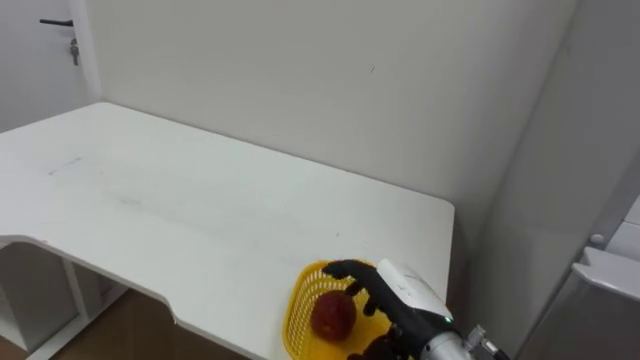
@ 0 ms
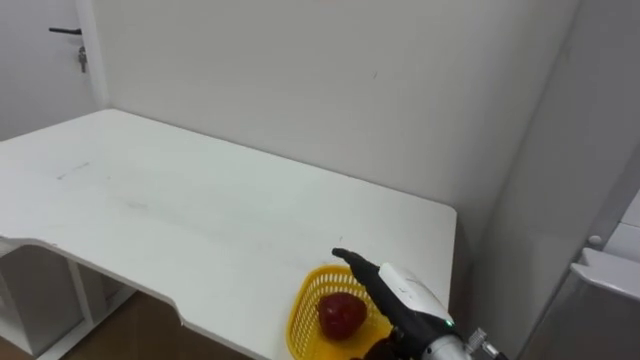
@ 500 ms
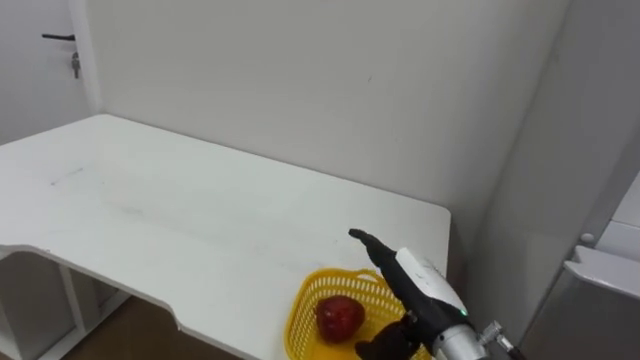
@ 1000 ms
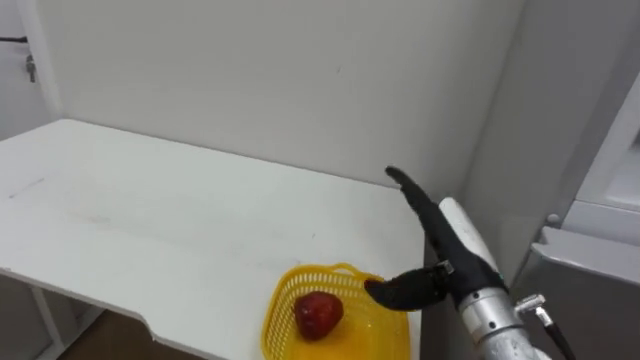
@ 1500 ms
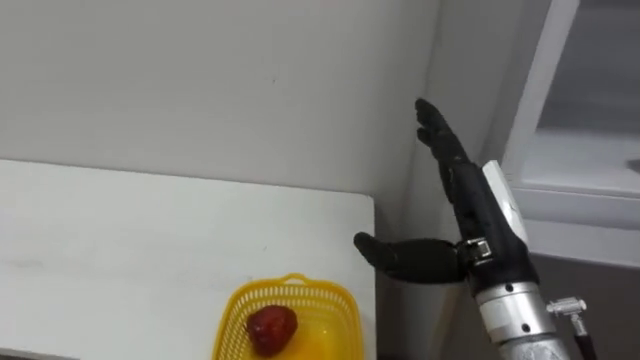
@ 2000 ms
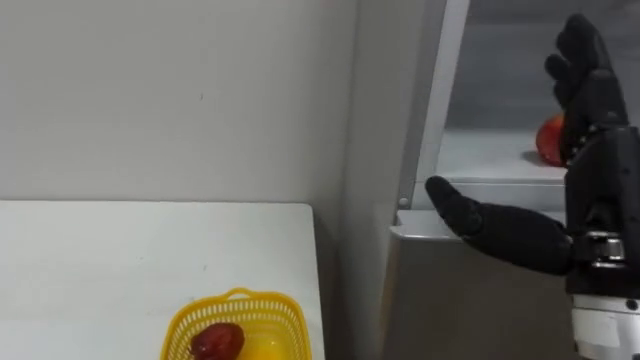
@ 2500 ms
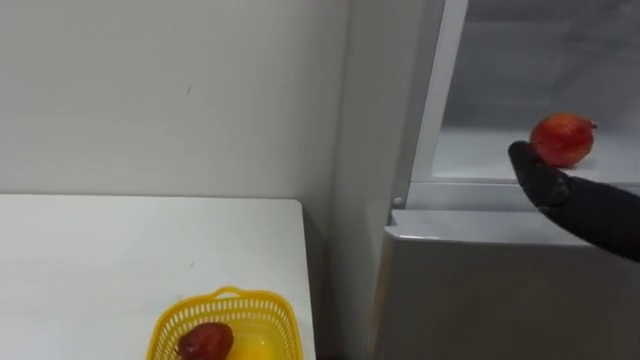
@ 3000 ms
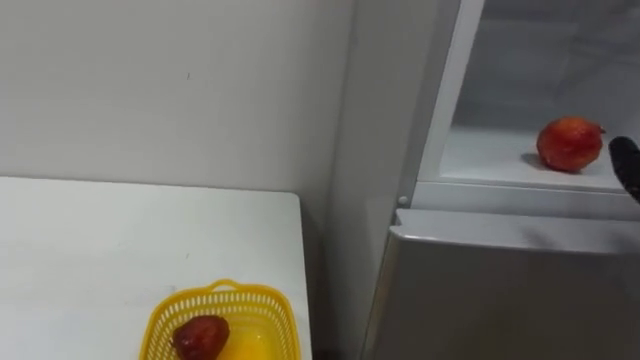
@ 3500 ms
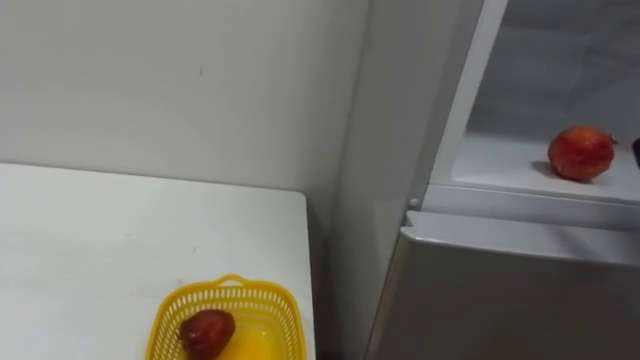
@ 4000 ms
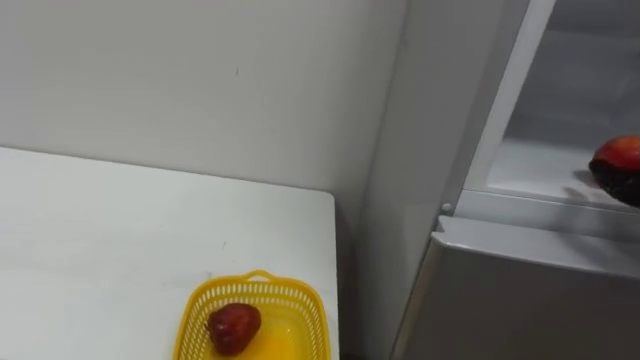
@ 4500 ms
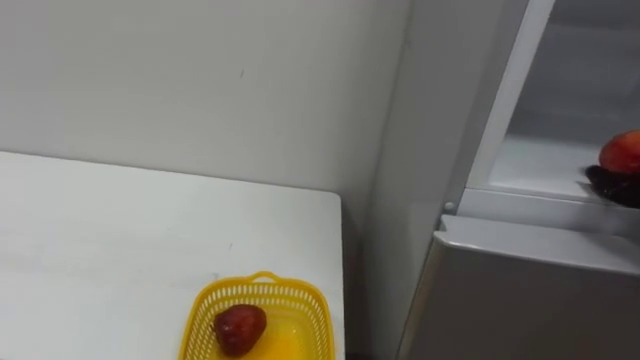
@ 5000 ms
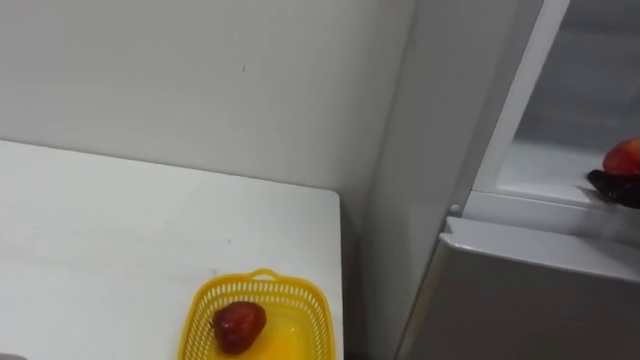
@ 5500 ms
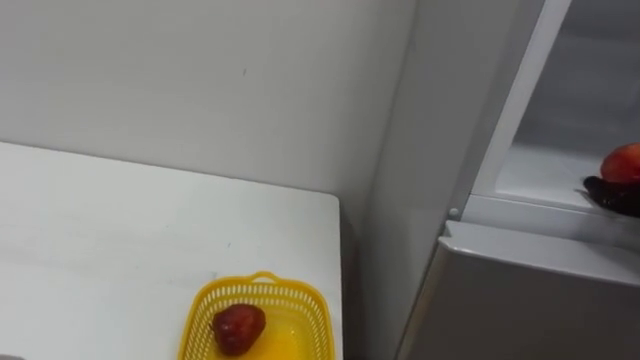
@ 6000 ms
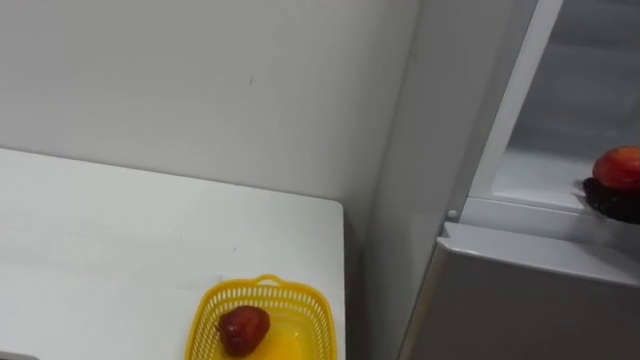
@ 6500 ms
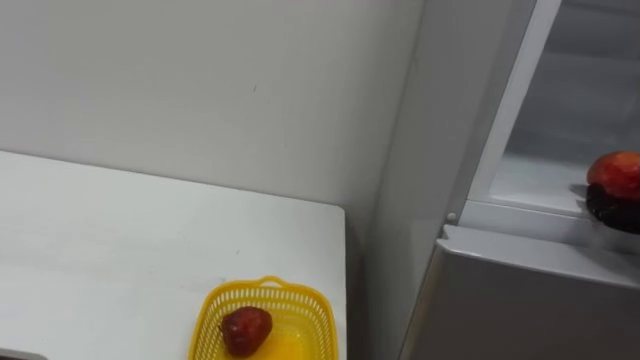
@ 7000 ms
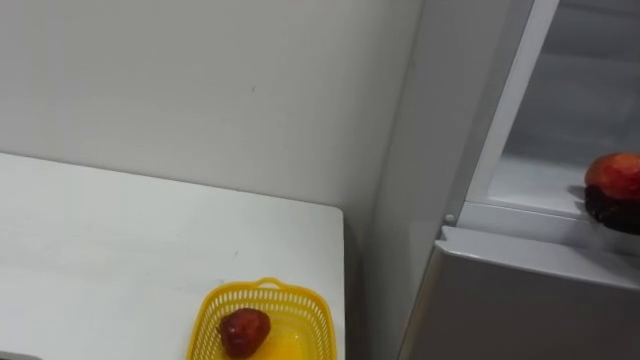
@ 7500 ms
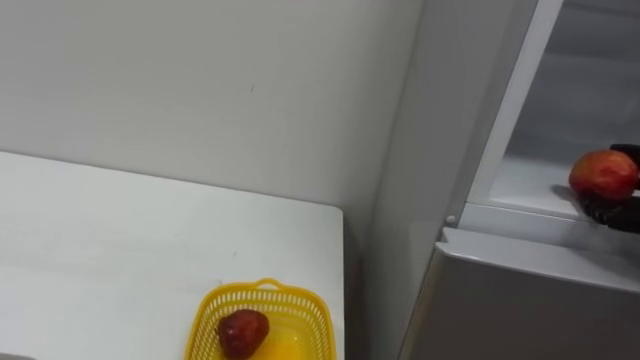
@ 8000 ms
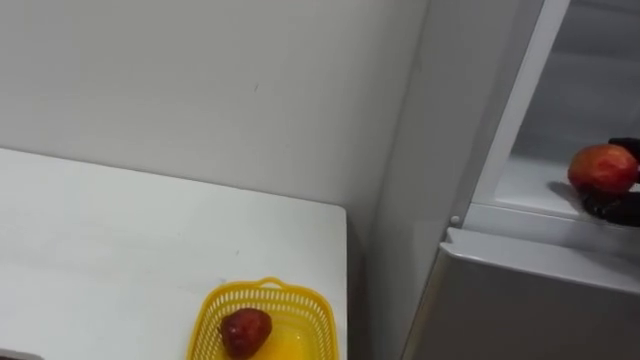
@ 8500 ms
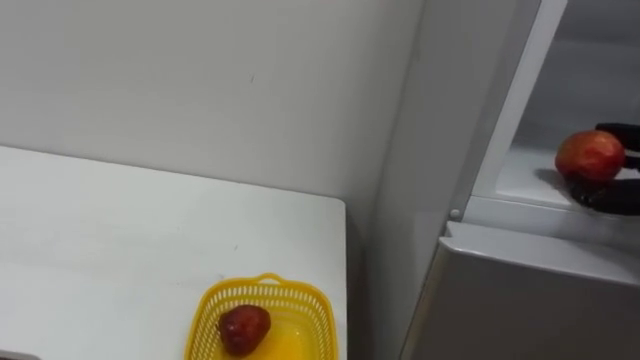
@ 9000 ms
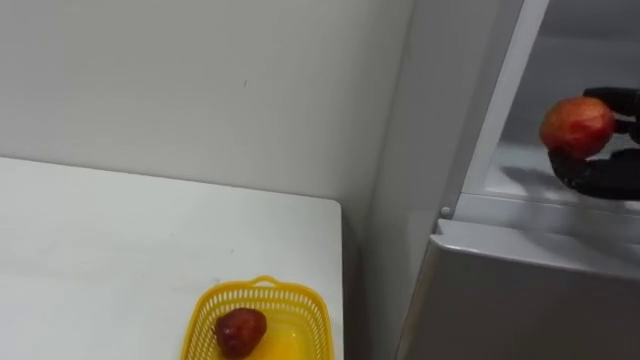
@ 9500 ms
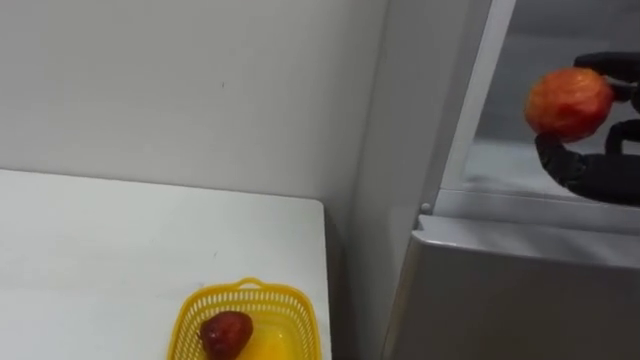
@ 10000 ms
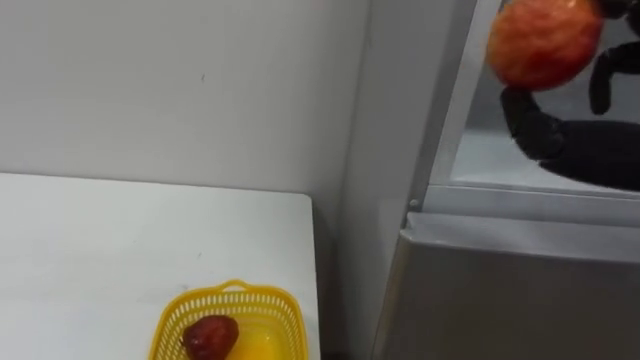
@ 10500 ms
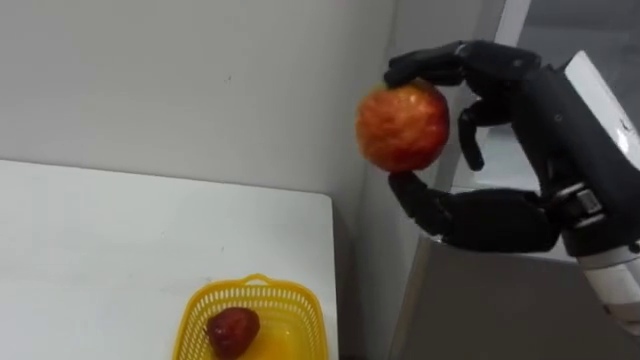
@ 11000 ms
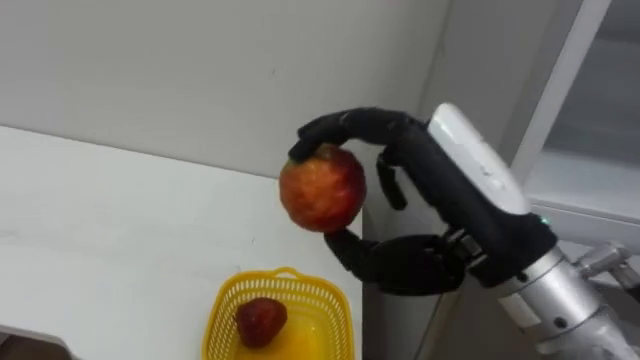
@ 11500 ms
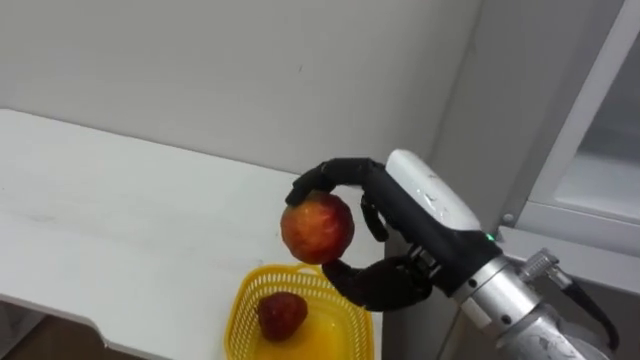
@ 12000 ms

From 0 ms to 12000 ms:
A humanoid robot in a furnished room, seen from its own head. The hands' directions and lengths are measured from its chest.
Task of the whole recording: Open the refrigerator door, take out the apple and the pomegranate, place them in the fruit basket on the left, and close the refrigerator door.
From 0 ms to 2000 ms: The right hand goes some 15 cm upward and to the right, and opens its fingers.

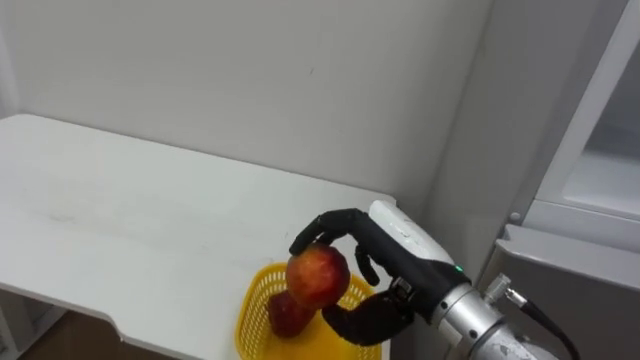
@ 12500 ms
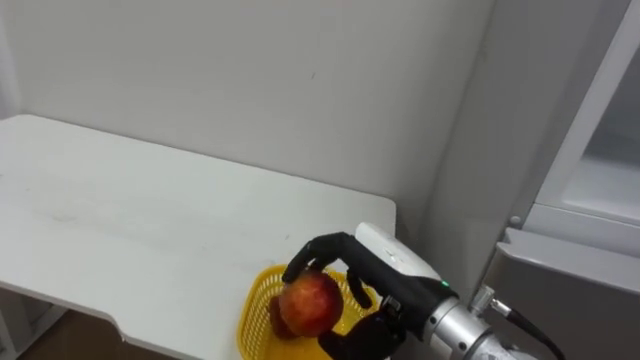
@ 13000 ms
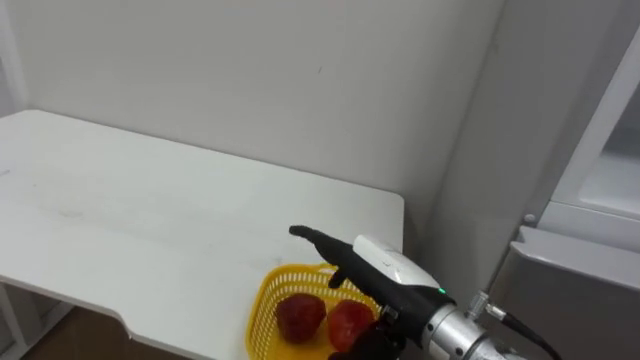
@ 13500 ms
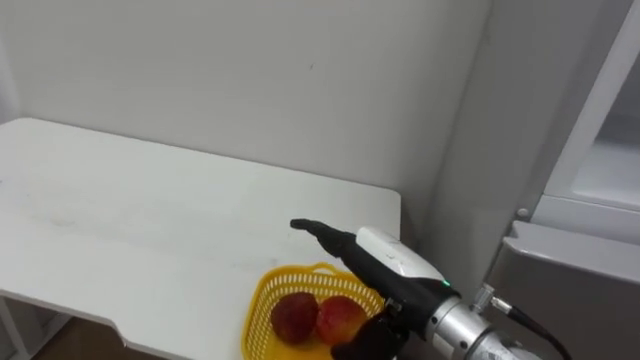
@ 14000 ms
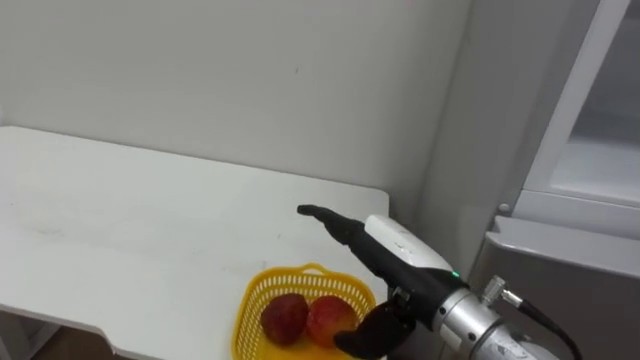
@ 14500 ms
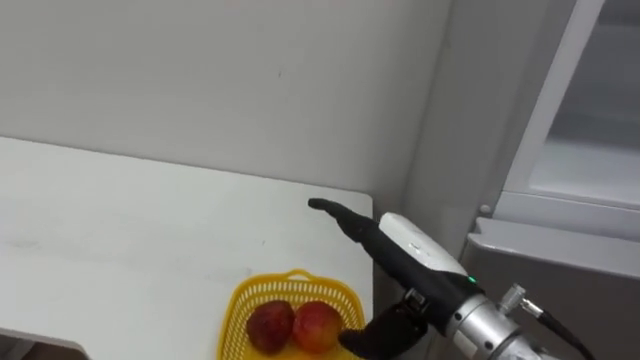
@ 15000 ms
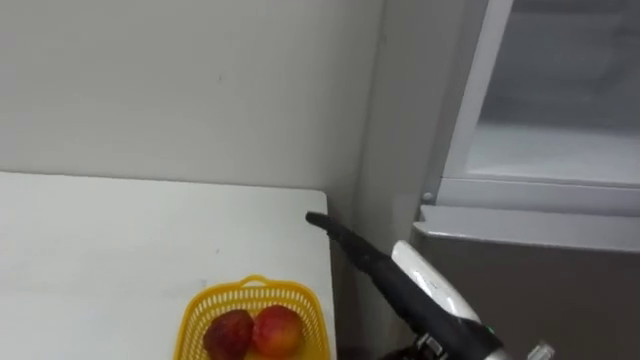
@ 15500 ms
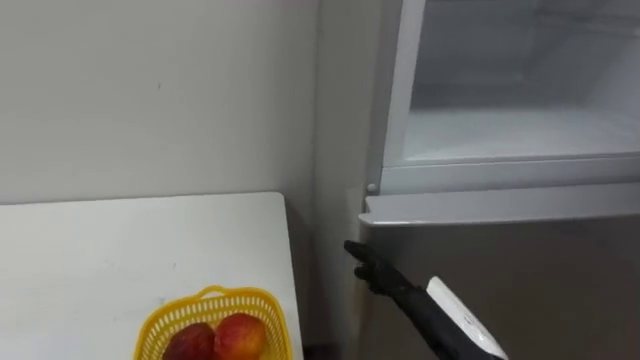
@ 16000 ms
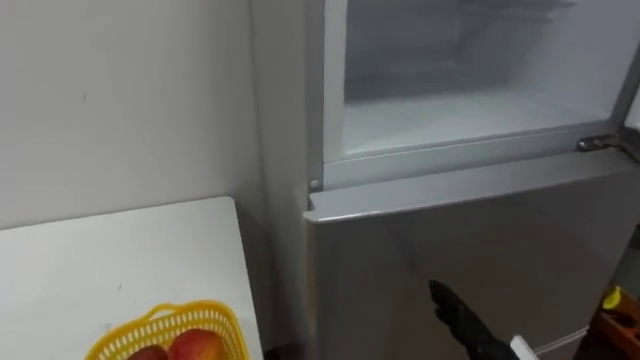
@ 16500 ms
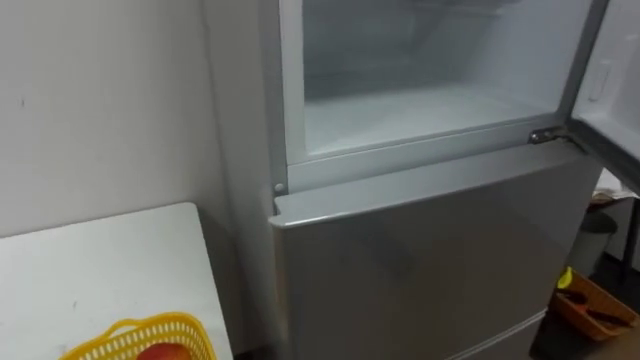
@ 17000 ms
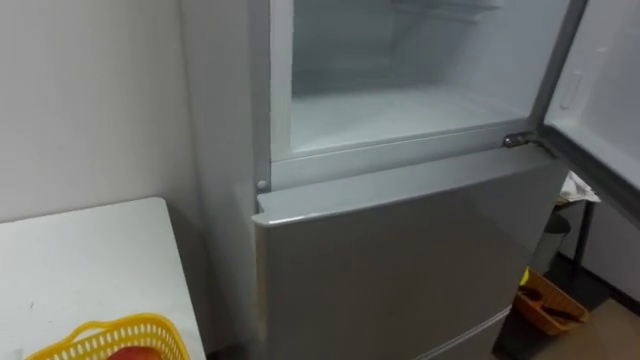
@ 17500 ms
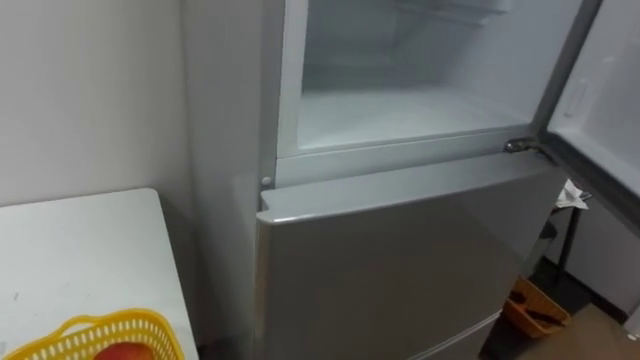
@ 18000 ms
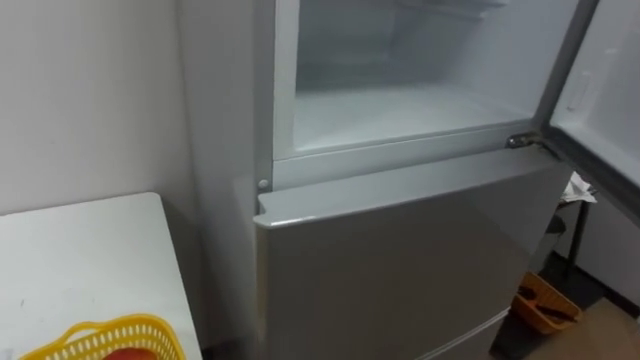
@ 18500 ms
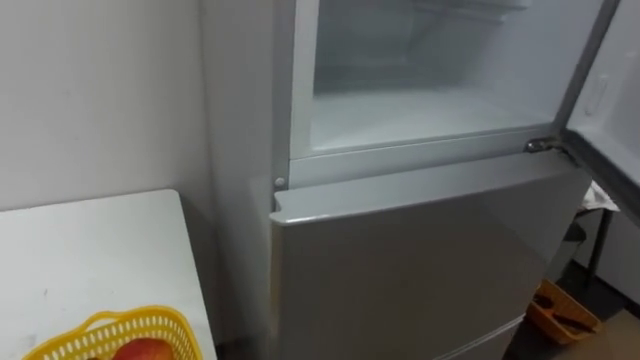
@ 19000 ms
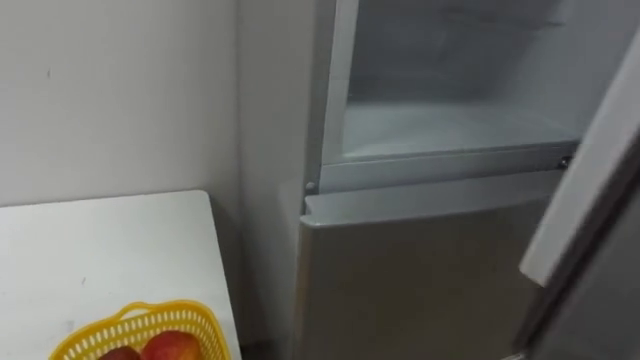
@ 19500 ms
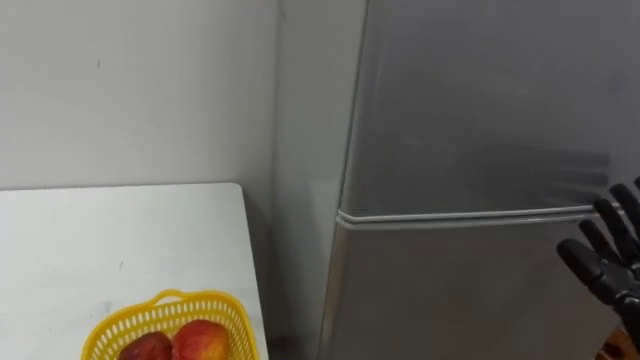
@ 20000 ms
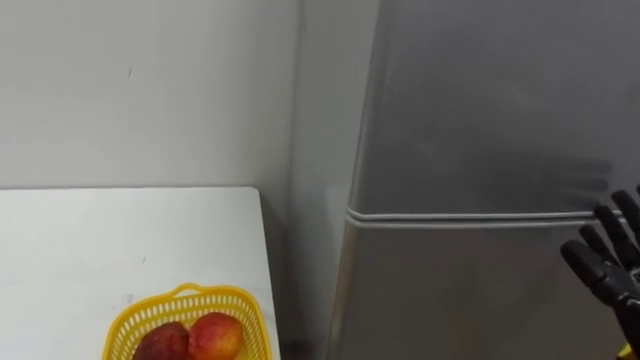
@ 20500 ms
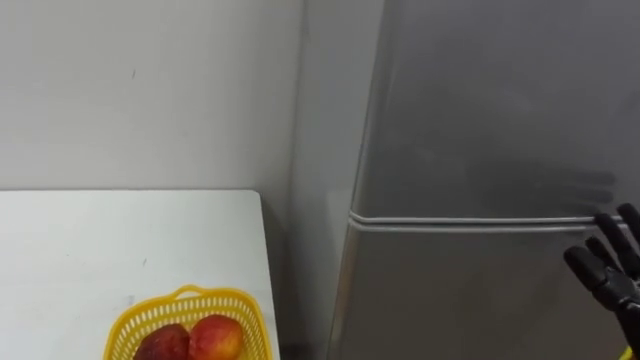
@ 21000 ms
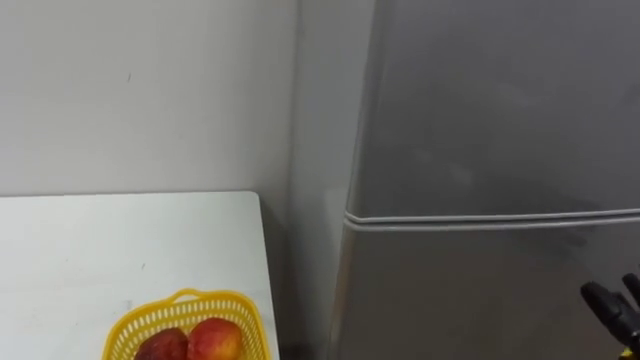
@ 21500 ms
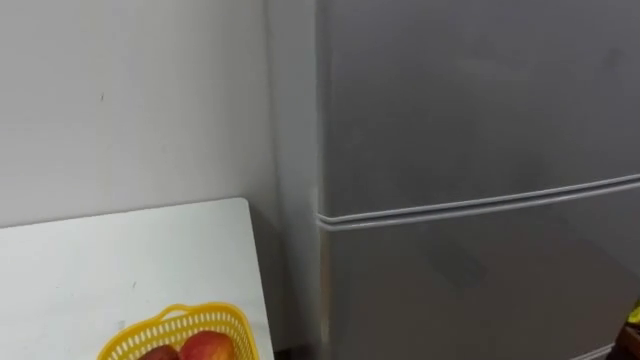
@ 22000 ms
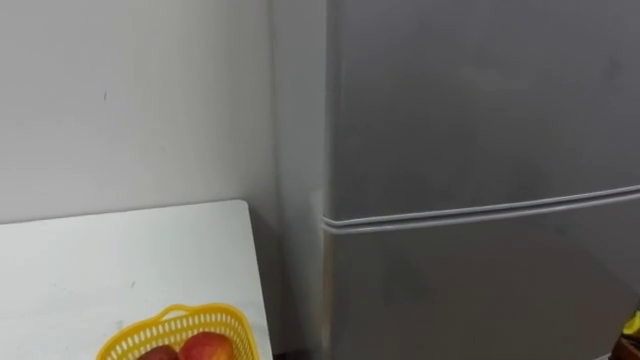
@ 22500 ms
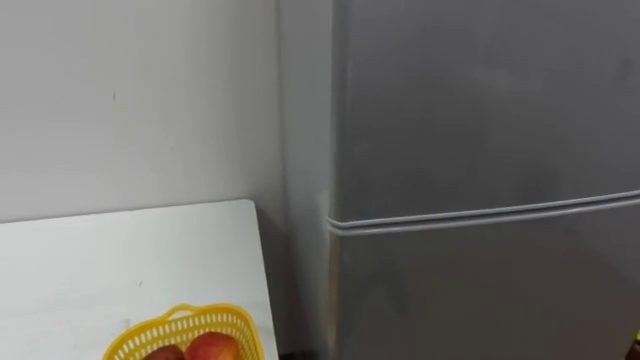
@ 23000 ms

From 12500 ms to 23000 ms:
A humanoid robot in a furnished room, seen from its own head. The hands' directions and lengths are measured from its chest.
Task of the whole recording: Open the refrigerator door, take out the apple and the pomegranate, place them in the fruit basket on the left, and close the refrigerator door.
From 12500 ms to 14500 ms: The right hand opens.
